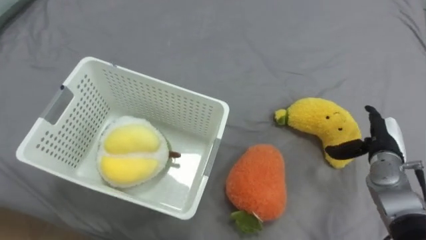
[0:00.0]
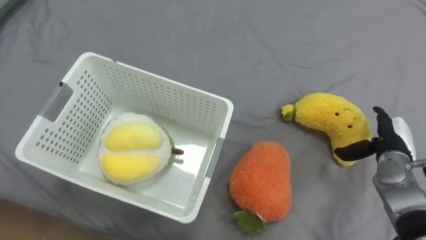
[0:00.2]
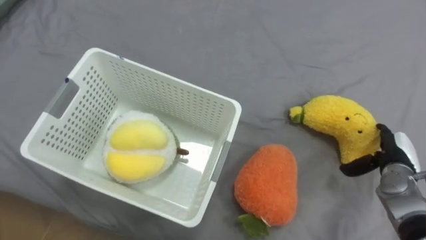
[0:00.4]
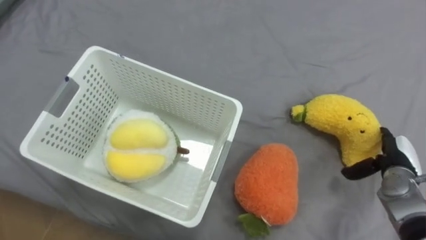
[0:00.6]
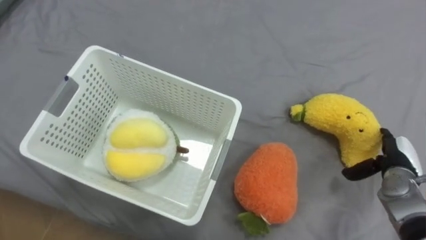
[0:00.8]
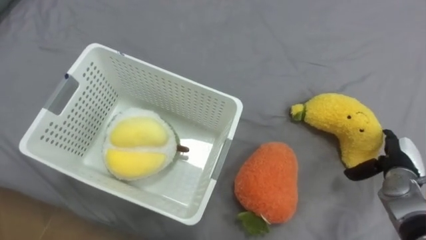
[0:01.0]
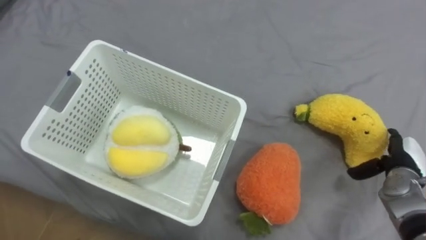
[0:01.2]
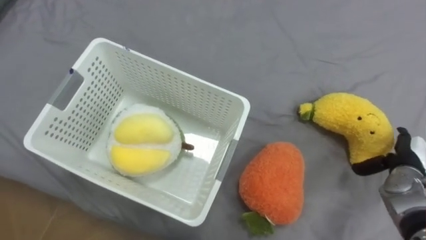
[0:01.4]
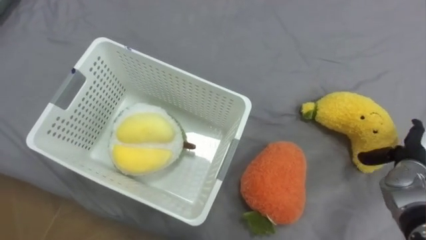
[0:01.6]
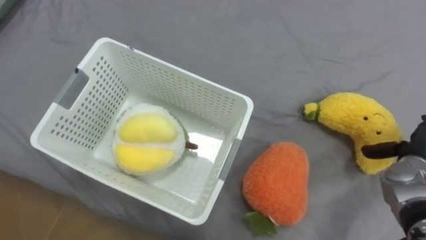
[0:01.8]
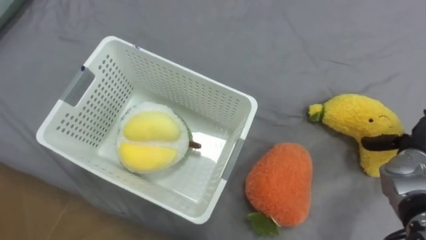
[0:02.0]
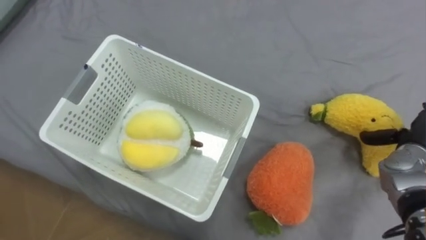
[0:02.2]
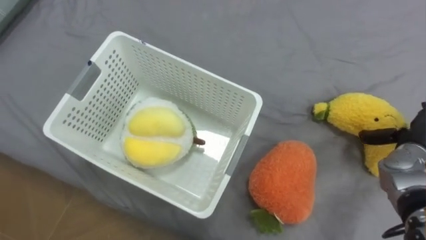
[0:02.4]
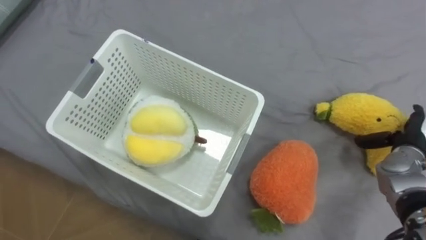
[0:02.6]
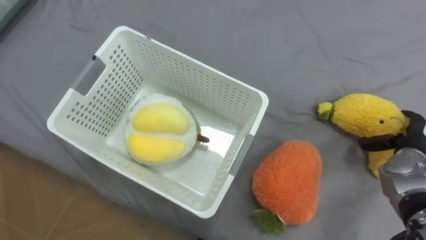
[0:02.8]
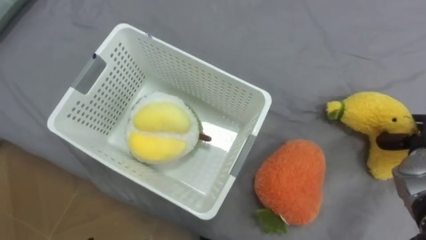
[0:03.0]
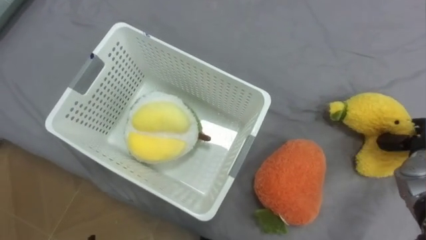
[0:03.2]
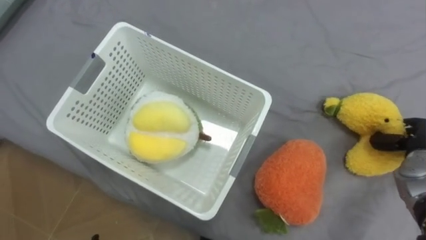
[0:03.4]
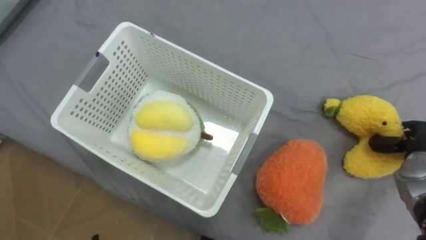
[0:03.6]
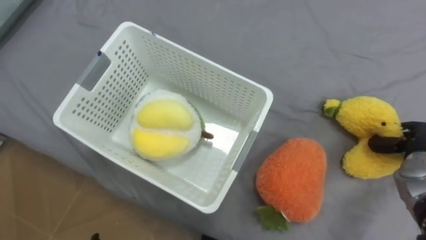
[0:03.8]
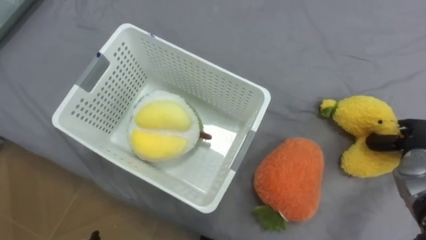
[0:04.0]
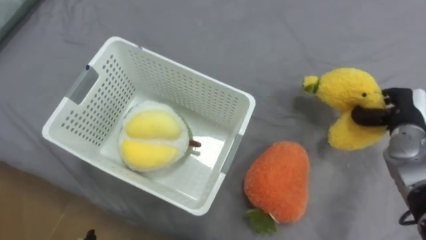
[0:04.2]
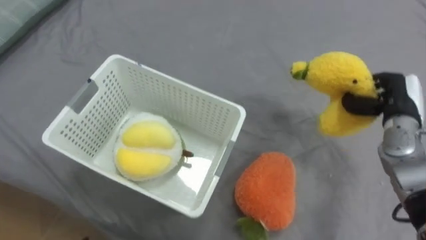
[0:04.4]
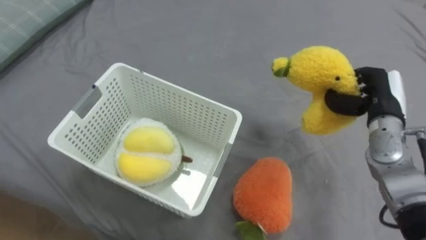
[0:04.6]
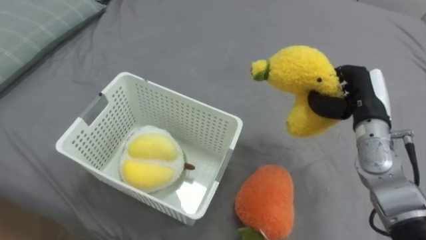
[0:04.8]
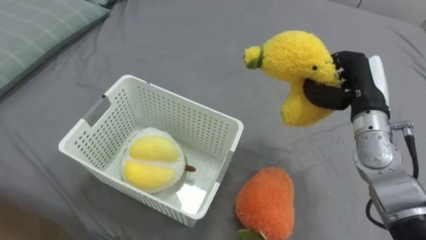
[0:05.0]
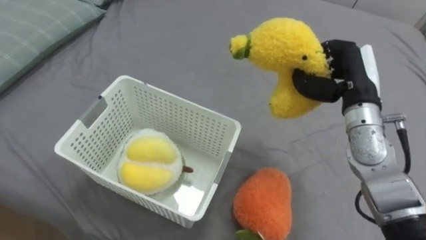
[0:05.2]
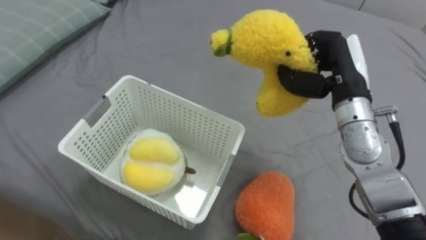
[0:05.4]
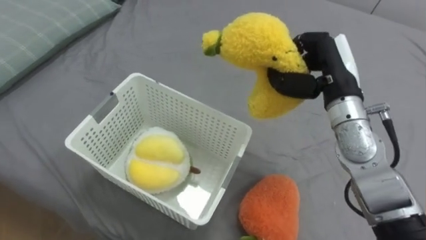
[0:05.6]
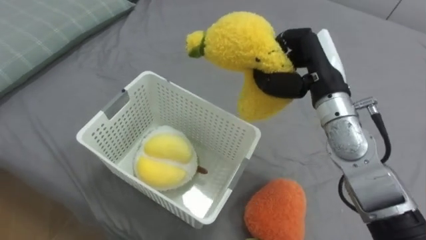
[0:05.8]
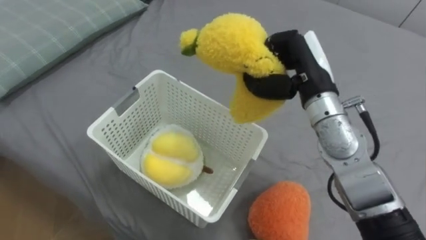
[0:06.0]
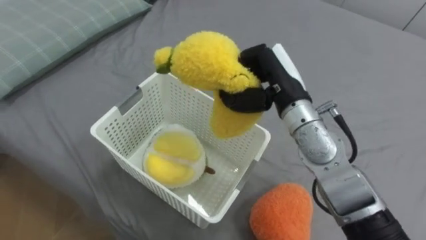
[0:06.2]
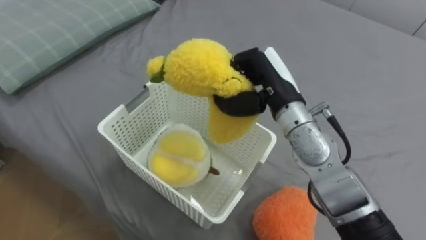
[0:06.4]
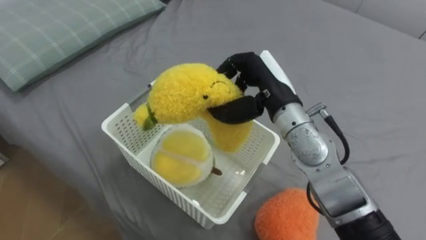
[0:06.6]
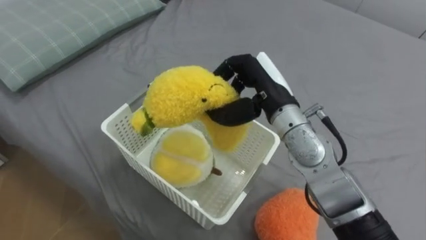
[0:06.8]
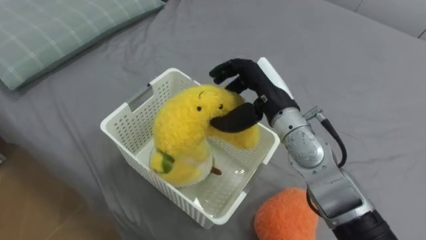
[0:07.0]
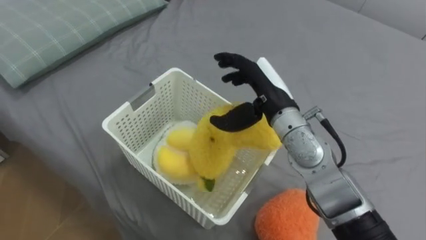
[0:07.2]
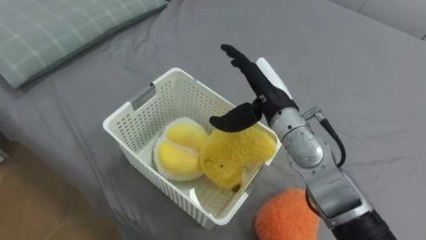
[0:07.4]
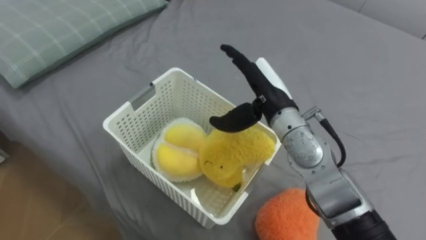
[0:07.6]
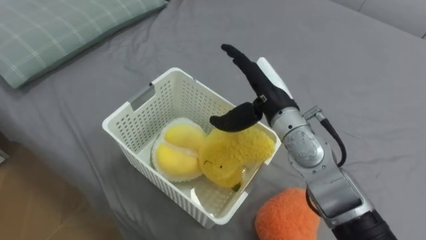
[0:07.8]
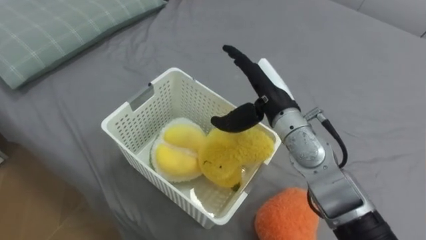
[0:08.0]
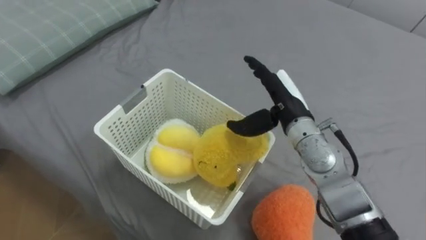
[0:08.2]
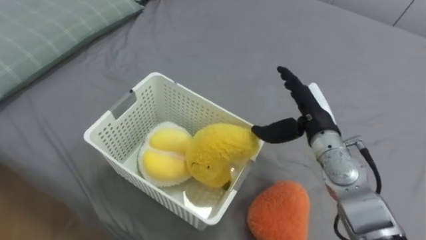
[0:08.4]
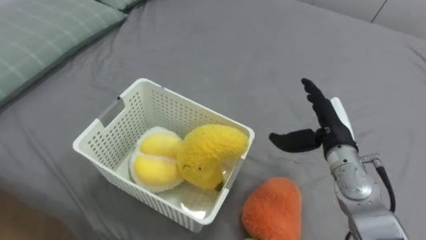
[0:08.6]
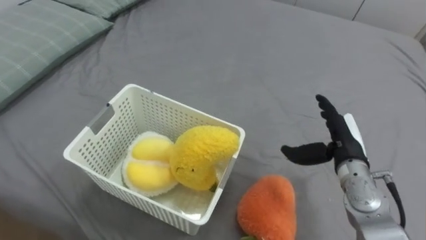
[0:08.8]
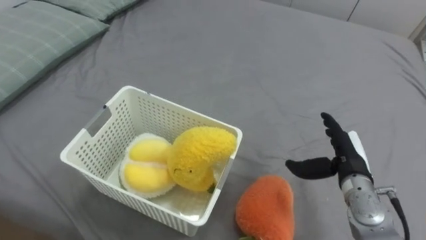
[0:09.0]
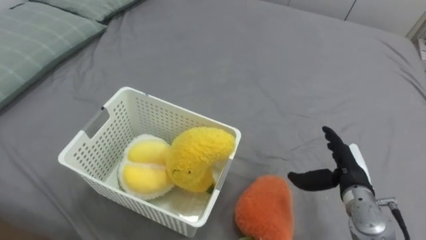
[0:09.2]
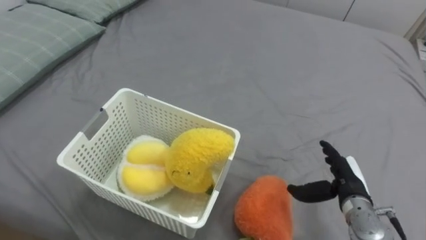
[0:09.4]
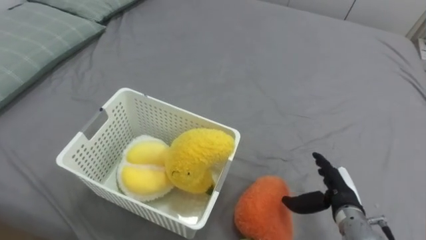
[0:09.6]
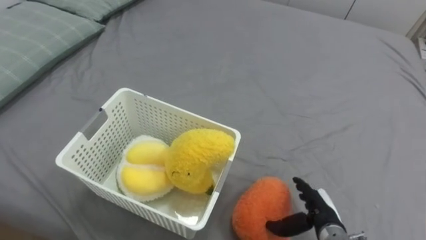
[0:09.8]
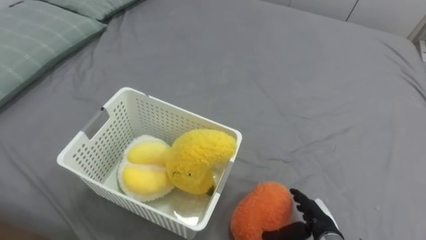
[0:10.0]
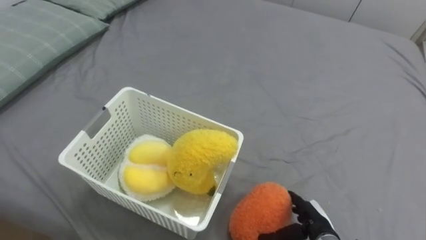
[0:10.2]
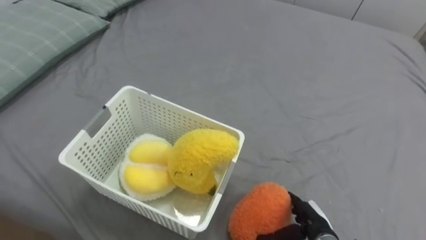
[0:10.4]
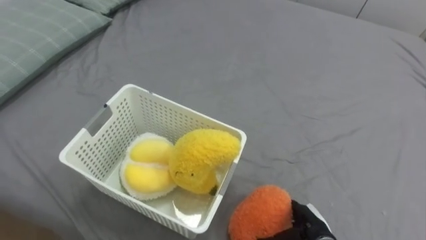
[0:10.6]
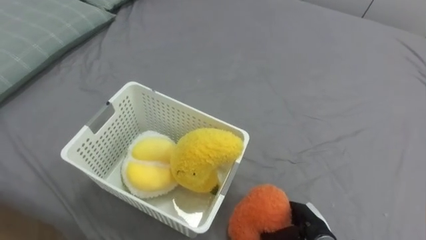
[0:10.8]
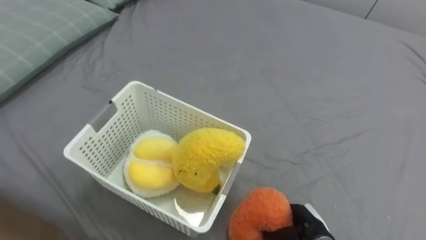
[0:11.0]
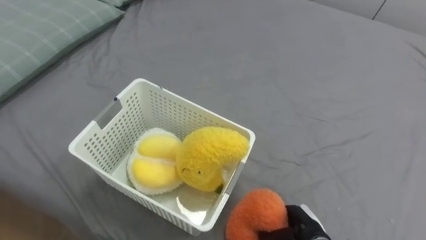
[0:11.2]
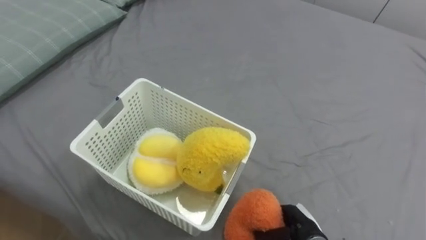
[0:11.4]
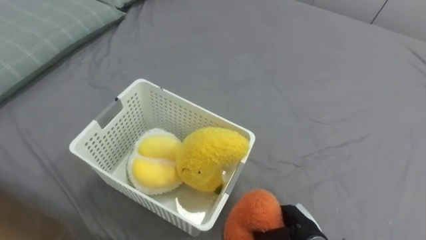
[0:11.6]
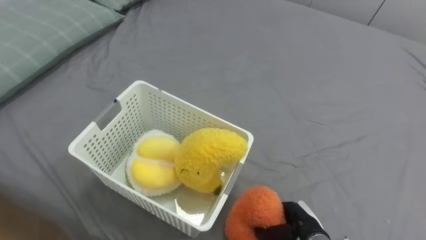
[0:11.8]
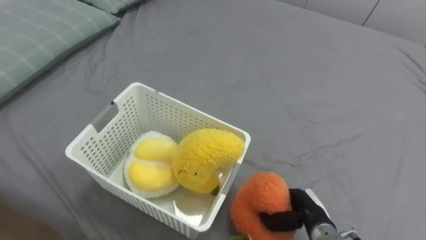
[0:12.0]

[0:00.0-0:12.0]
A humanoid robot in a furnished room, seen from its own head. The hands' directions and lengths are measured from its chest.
Task of the whole recording: Put the toys on the bed into the basket on the left.
0:00.0 to 0:01.6: The right hand heads to the right, covering roughly 5 cm.
0:01.6 to 0:03.0: The right hand closes up.
0:03.0 to 0:04.4: The right hand moves to the left, upward and forward, some 10 cm, and closes its fingers.
0:04.4 to 0:06.0: The right hand goes some 20 cm to the left and upward.
0:06.0 to 0:07.6: The right hand travels to the left by approximately 5 cm, and opens up.
0:07.6 to 0:09.0: The right hand shifts roughly 20 cm to the right and downward.
0:09.0 to 0:10.4: The right hand shifts approximately 15 cm downward and backward.
0:10.4 to 0:12.0: The right hand closes its fingers.

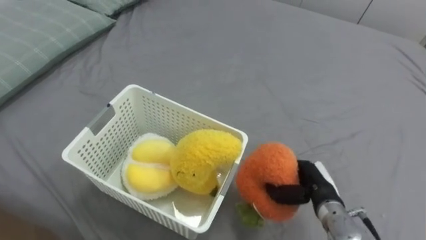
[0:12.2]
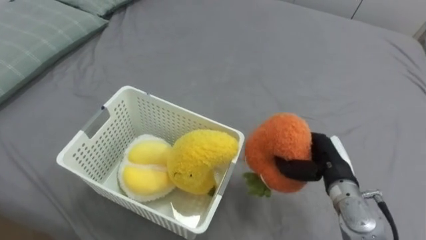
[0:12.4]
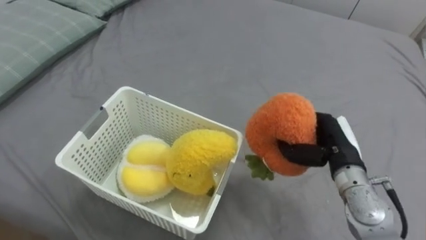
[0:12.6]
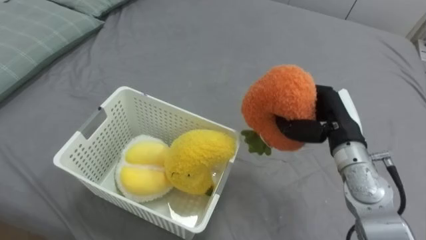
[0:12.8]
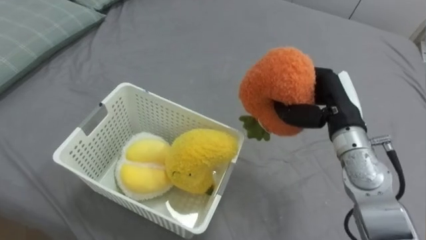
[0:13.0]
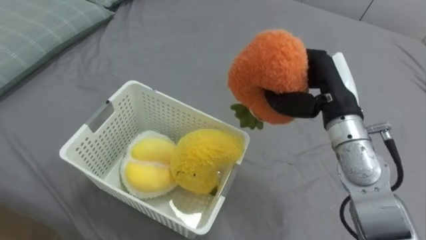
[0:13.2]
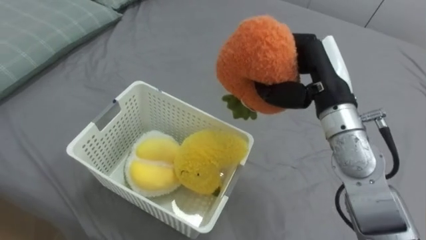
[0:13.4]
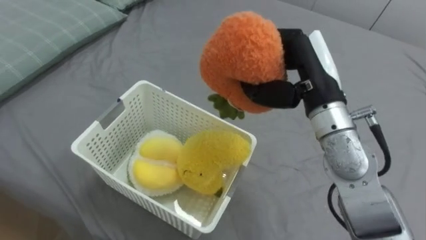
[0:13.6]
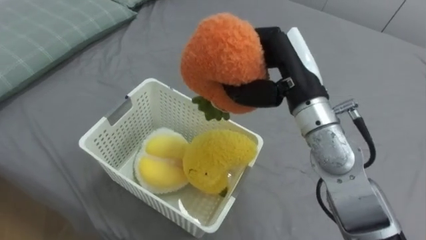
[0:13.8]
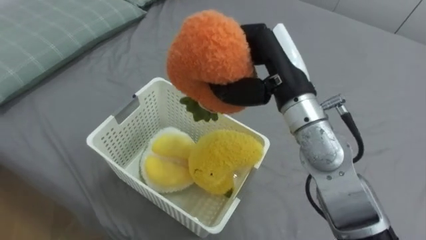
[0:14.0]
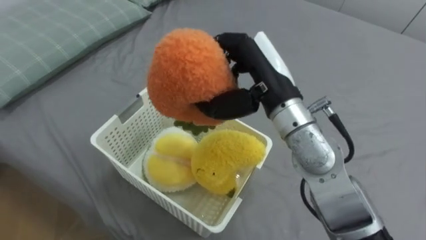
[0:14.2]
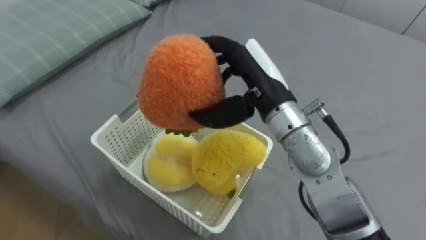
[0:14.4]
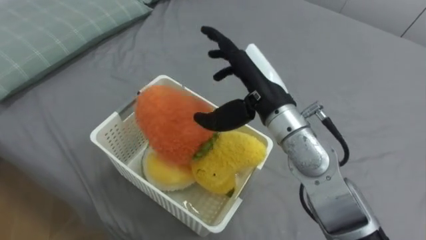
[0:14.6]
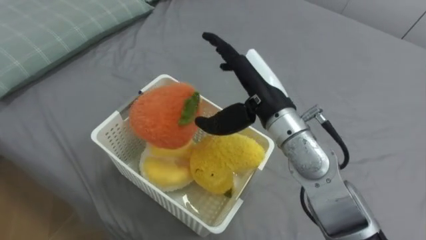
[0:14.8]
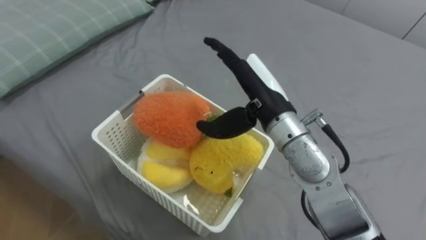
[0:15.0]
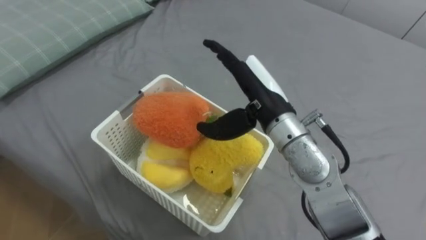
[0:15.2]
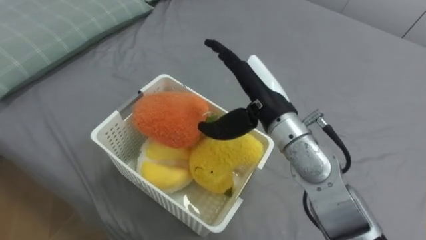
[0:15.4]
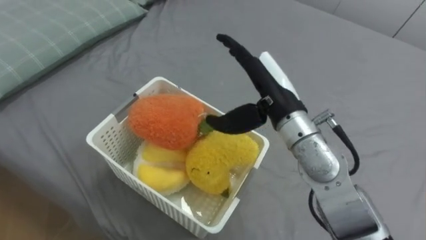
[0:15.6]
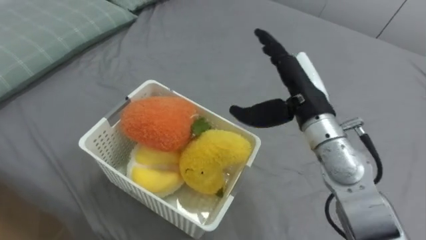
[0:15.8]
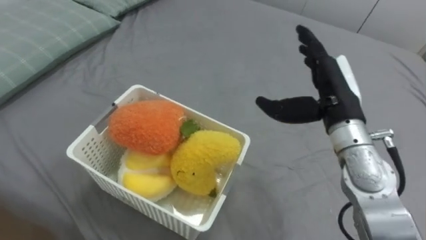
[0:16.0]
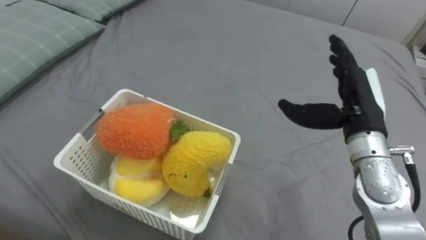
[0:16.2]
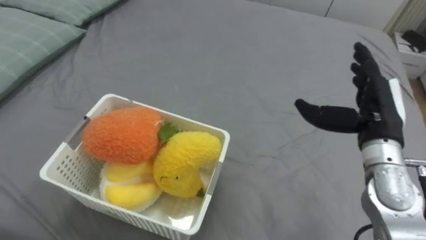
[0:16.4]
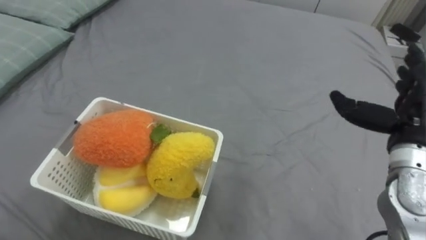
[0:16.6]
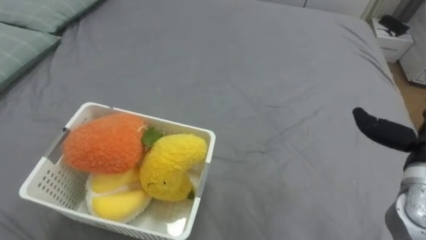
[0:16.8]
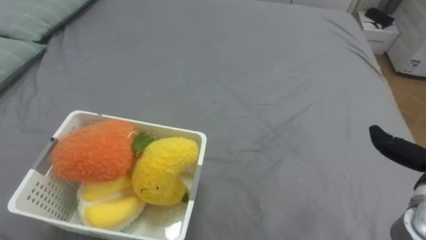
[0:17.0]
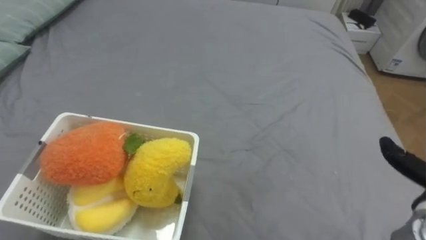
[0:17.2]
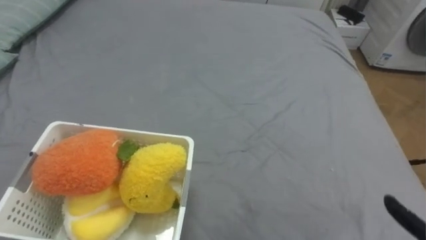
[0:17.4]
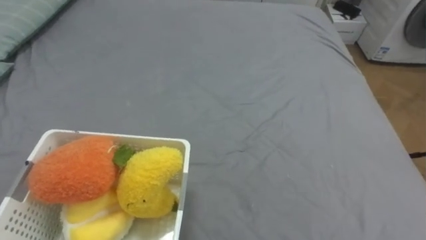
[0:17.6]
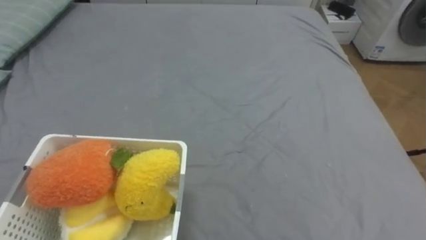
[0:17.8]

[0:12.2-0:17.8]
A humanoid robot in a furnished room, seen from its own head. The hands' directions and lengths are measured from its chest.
Task of the whole recording: Put the toys on the bed into the basket on the left.
0:12.2 to 0:13.6: The right hand is displaced upward by some 25 cm.
0:13.6 to 0:15.0: The right hand goes about 10 cm to the left, and opens its fingers.
0:15.0 to 0:16.4: The right hand goes roughly 20 cm to the right.
